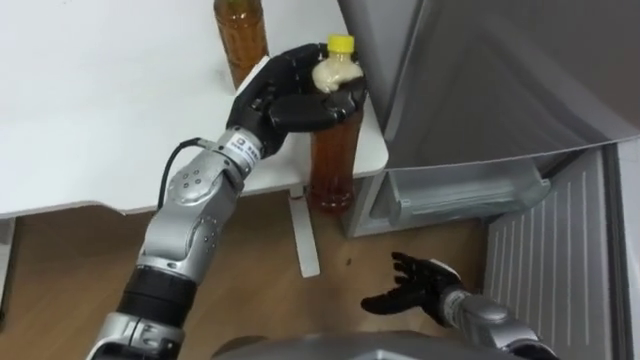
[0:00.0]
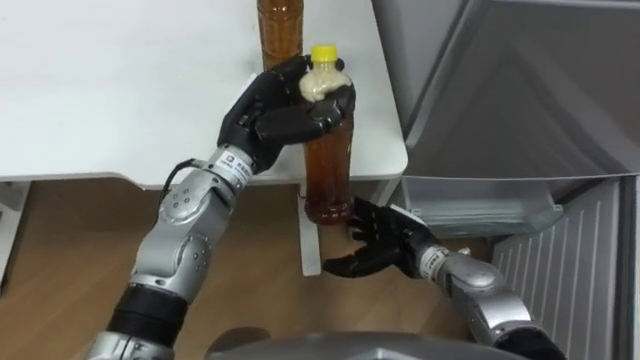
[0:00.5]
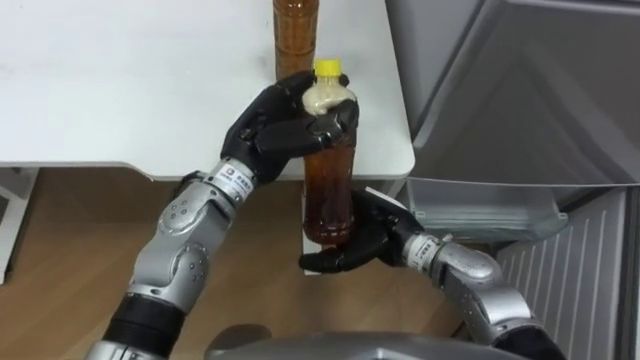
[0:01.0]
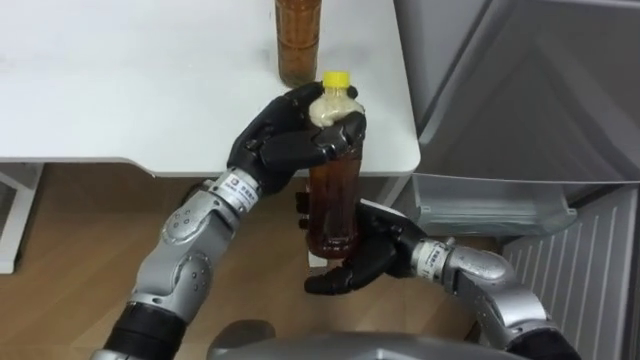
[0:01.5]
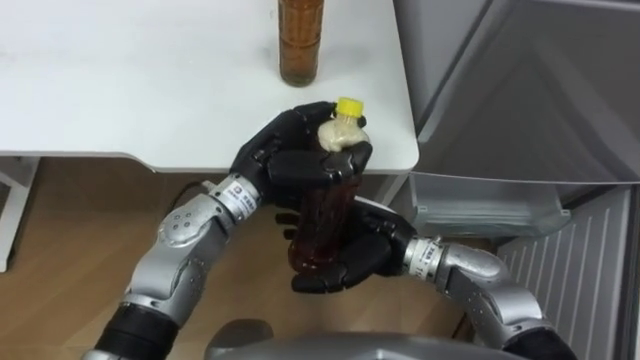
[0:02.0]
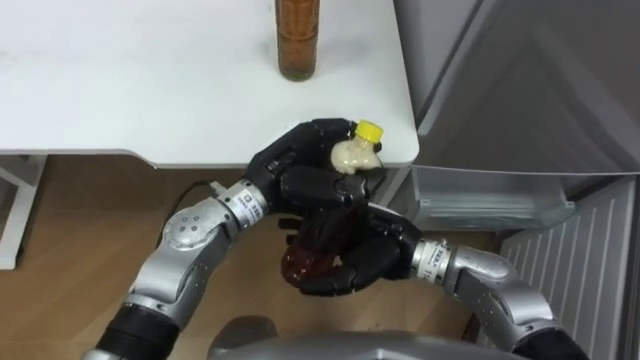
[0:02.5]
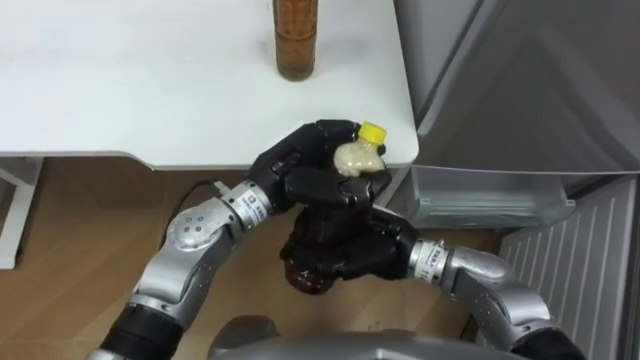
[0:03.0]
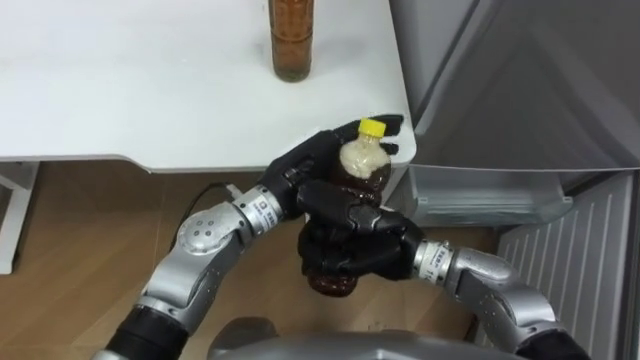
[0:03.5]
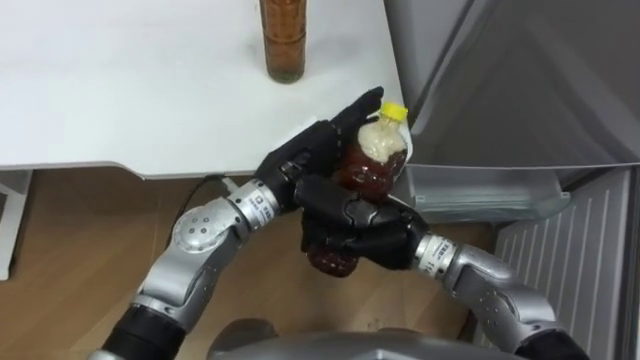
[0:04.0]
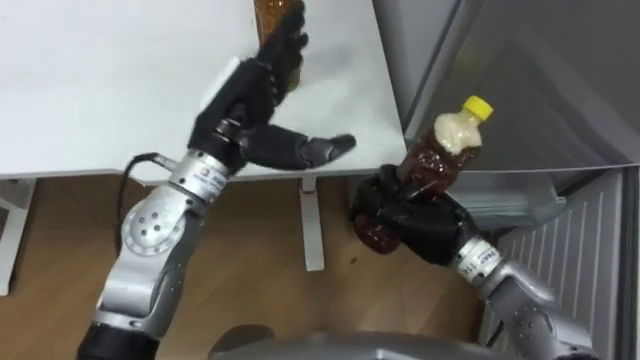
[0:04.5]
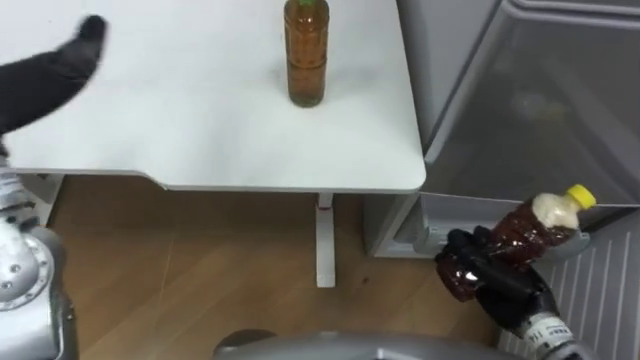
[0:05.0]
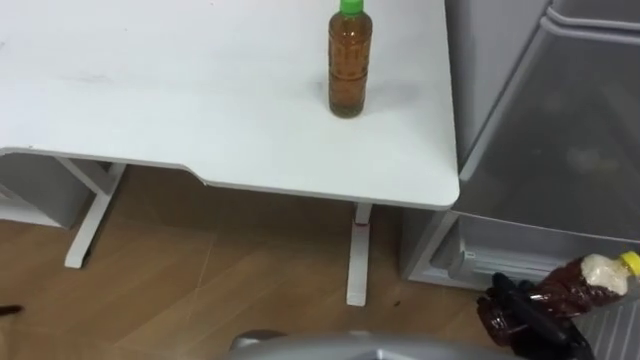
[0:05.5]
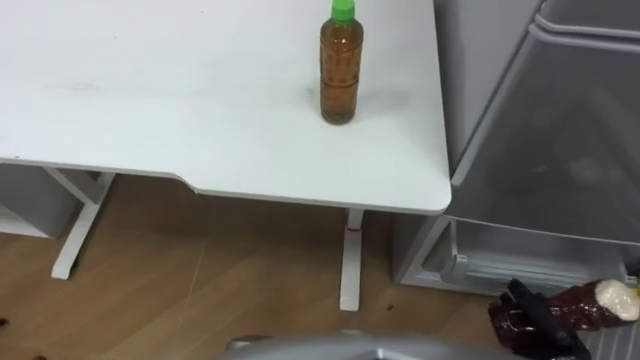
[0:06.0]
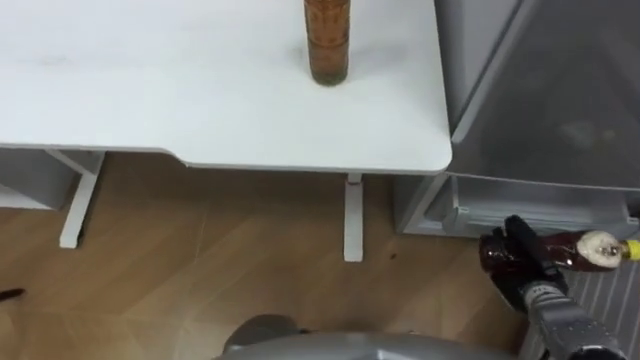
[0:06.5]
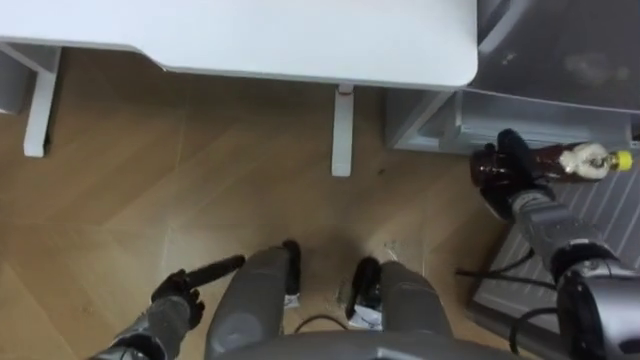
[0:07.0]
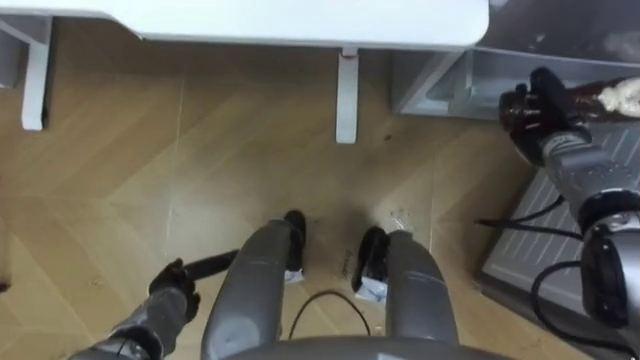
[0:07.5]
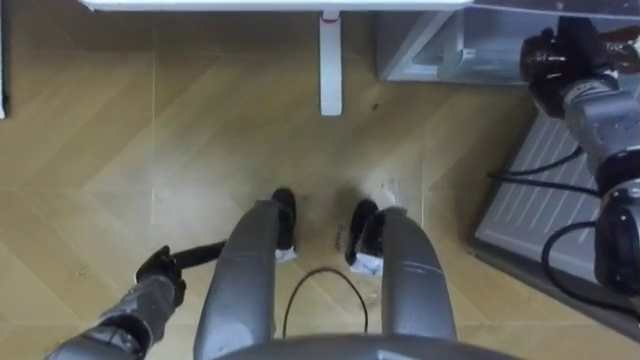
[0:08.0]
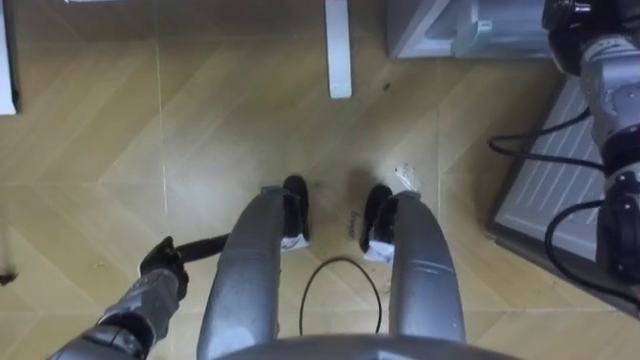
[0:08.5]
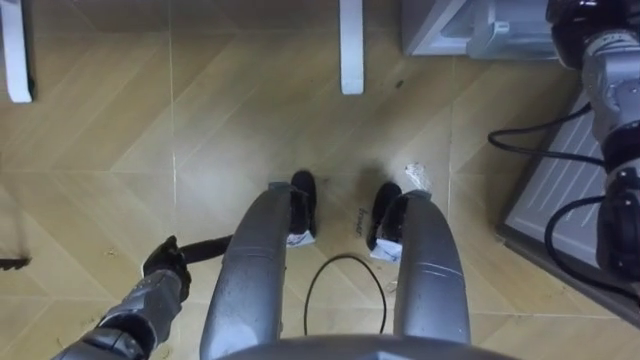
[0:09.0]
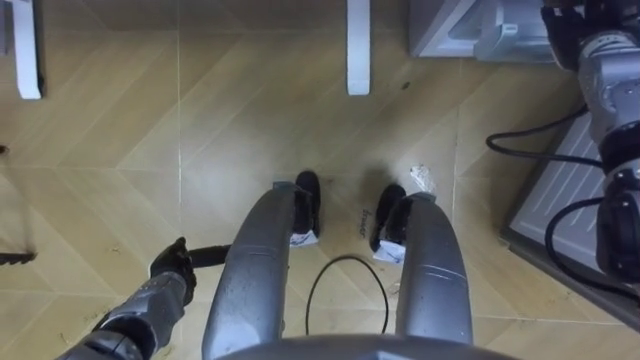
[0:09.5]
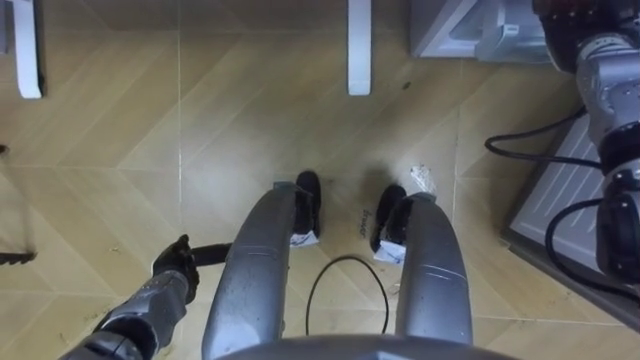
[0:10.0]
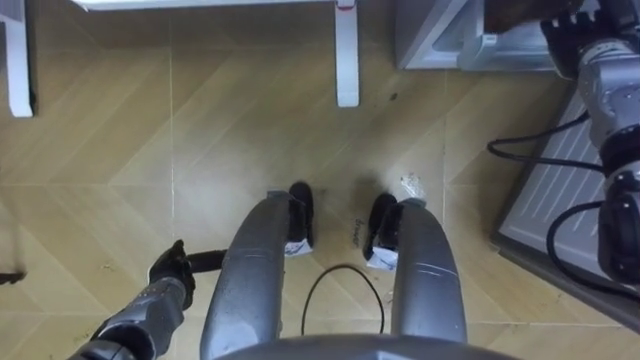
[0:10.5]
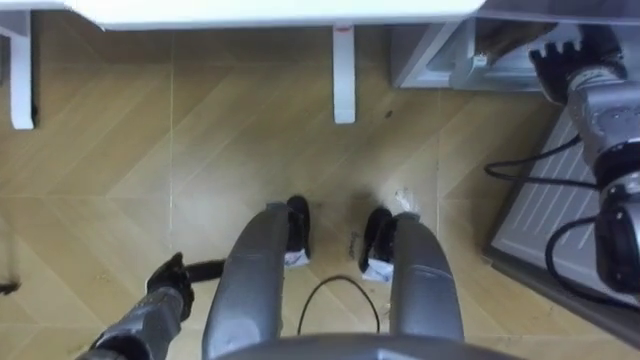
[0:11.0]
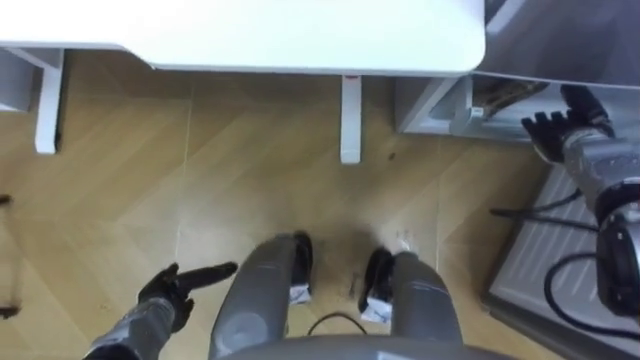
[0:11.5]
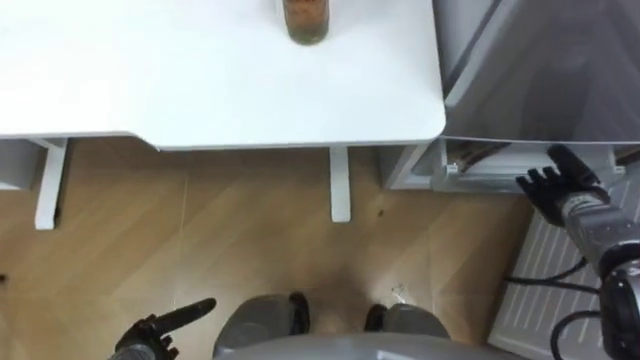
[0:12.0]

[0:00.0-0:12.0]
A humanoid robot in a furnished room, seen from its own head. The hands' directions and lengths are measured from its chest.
Task of the whole recording: Place the drink on the table on the bottom shelf of the refrigerator, then close the drawer and the refrigerator door.
0:00.0 to 0:02.0: The left hand moves approximately 5 cm. Meanwhile the right hand heads upward and to the left, covering roughly 20 cm.
0:02.0 to 0:04.0: The left hand opens, while the right hand closes.
0:04.0 to 0:06.0: The right hand is displaced to the right, backward and downward by some 30 cm.
0:06.0 to 0:08.0: The right hand is displaced forward and upward by approximately 35 cm.
0:08.0 to 0:10.0: The right hand heads upward, covering some 5 cm, and opens up.
0:10.0 to 0:12.0: The right hand moves downward and backward, about 20 cm; the left hand shifts roughly 10 cm backward.

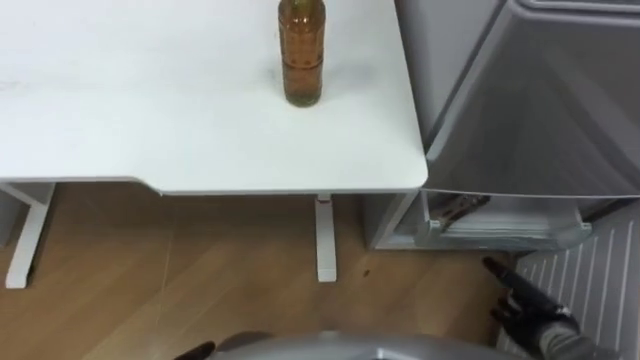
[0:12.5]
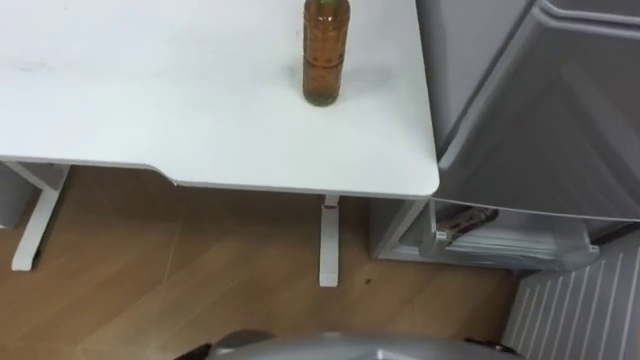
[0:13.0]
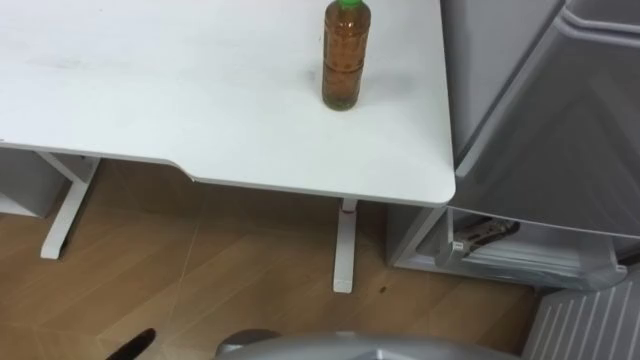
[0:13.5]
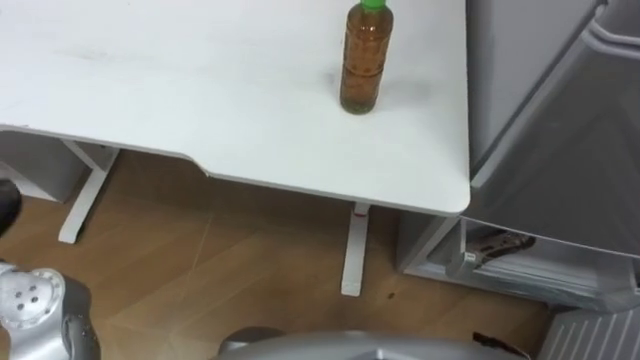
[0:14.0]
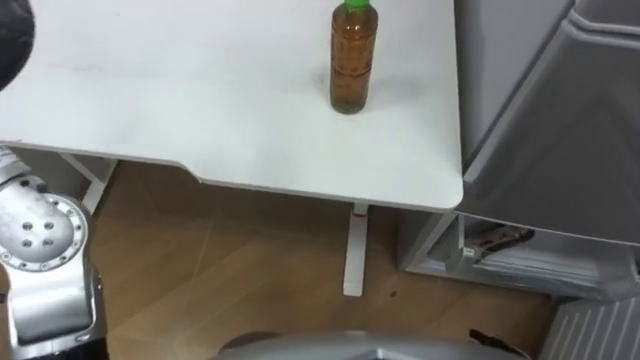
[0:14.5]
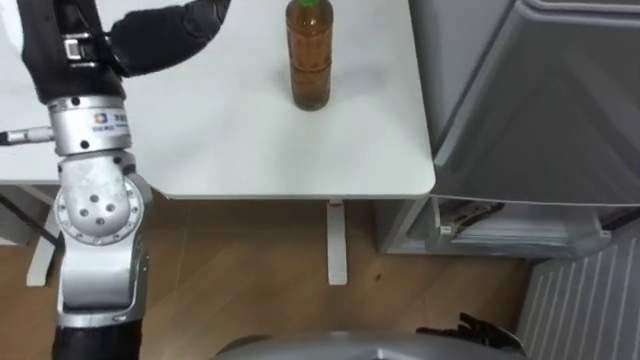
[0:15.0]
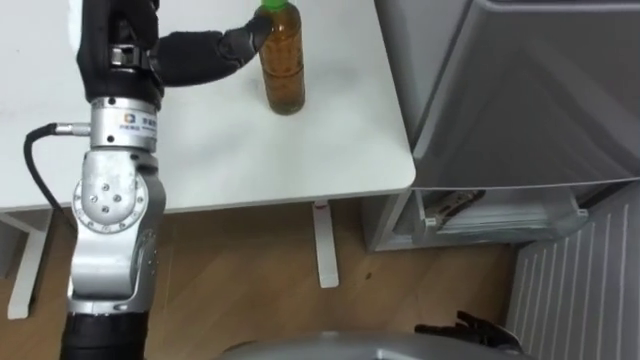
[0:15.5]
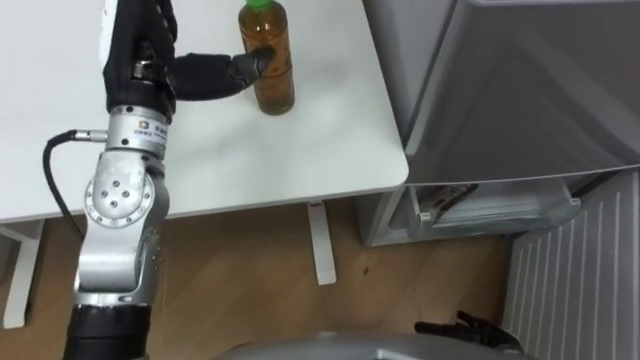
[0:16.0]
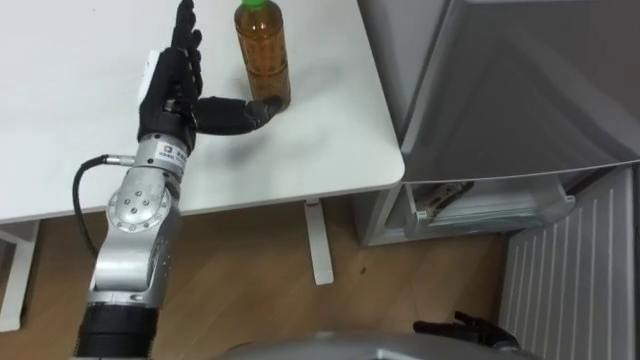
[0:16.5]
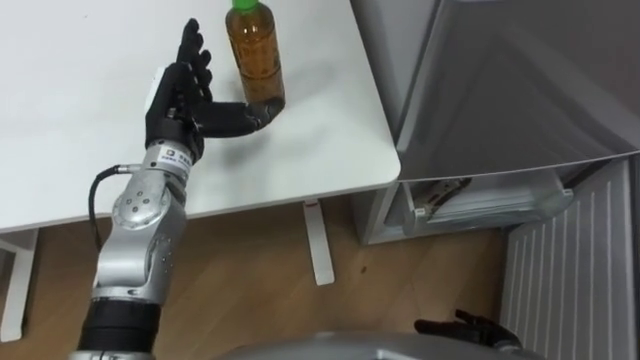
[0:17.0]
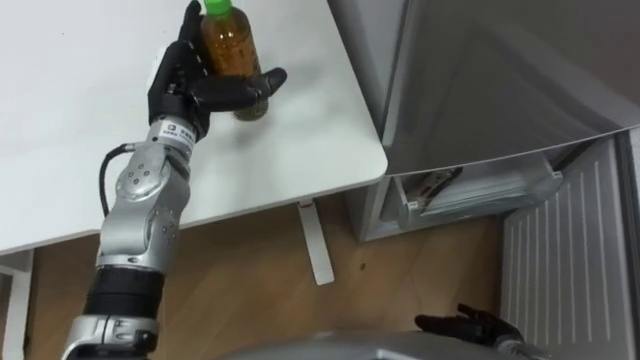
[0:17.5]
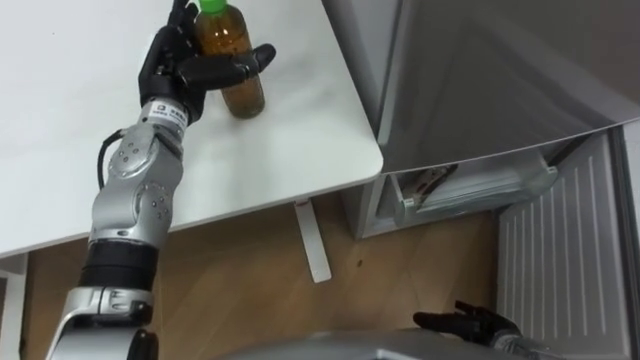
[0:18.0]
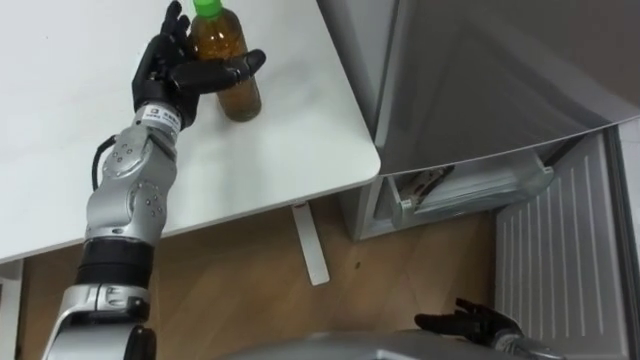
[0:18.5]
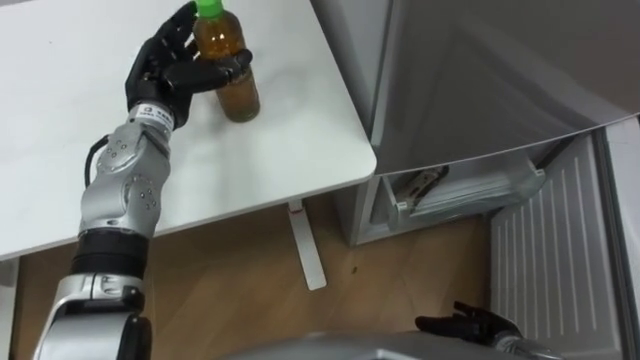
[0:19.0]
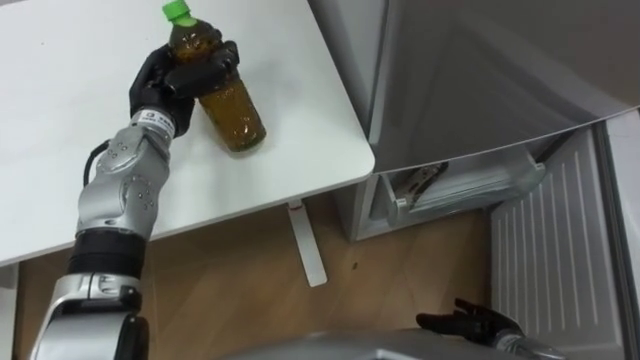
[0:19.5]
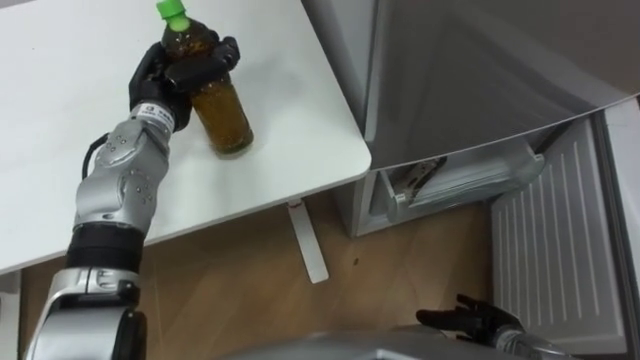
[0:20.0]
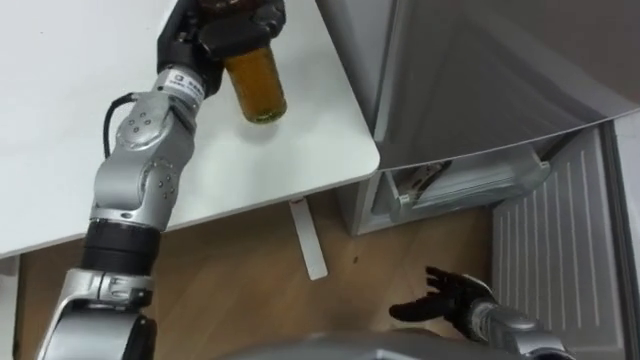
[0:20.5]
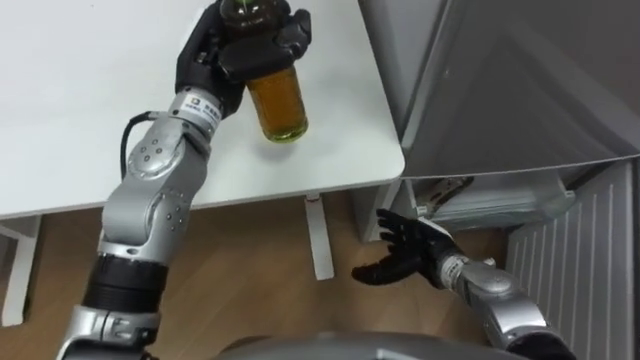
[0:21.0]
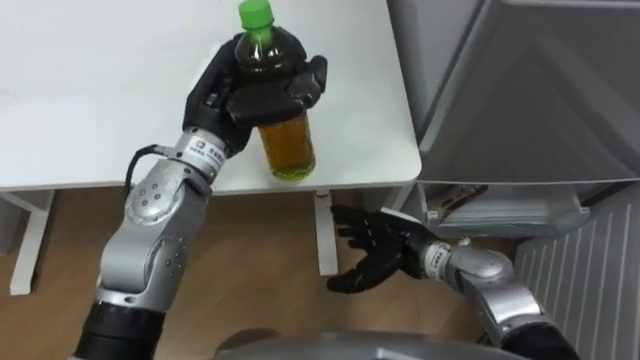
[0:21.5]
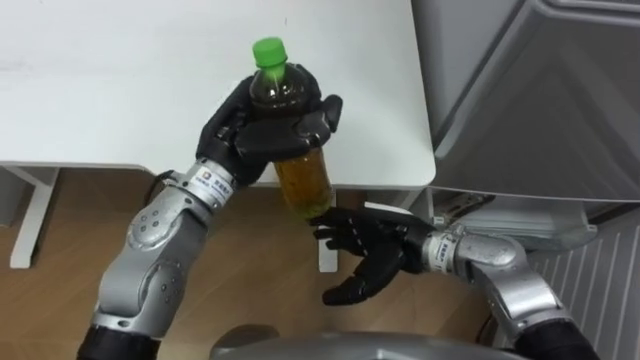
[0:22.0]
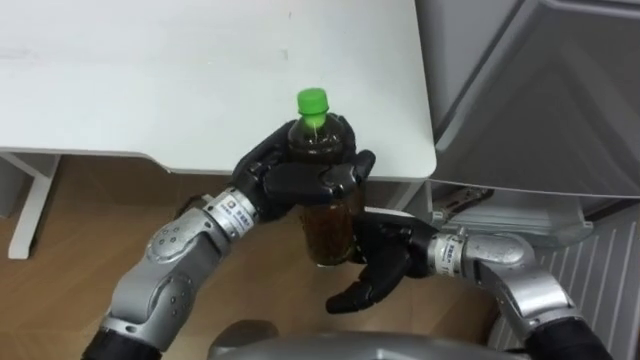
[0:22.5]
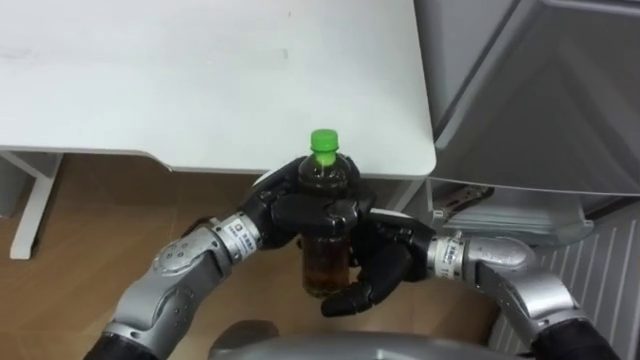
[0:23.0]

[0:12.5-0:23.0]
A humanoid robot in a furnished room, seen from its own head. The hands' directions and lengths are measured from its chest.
Task of the whole recording: Place the drink on the table on the bottom shelf of the refrigerator, then close the drawer and the refrigerator door.
0:16.5 to 0:19.0: The left hand heads forward, covering about 5 cm.
0:19.0 to 0:21.0: The left hand travels to the right and upward by approximately 10 cm, and closes its fingers, while the right hand moves forward, to the left and upward, roughly 15 cm.
0:21.0 to 0:23.0: The right hand shifts some 10 cm upward and to the left, while the left hand moves backward, downward and to the right, approximately 15 cm.
